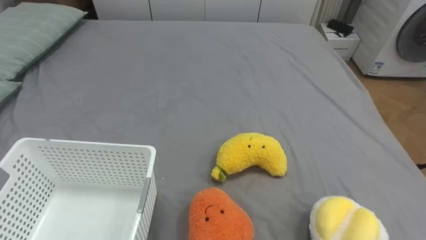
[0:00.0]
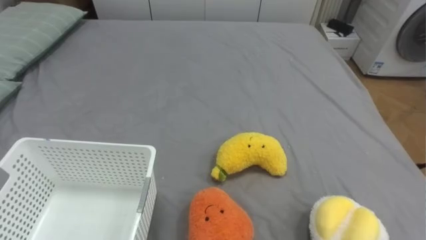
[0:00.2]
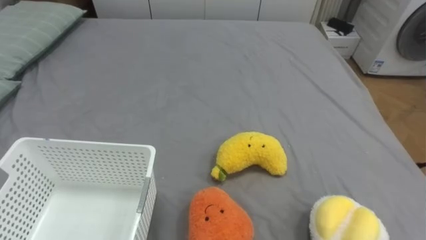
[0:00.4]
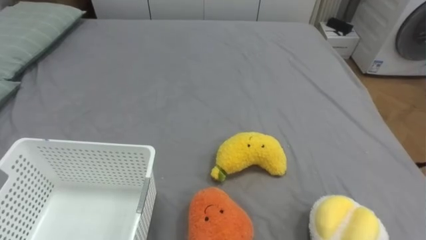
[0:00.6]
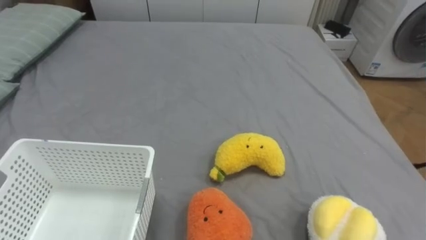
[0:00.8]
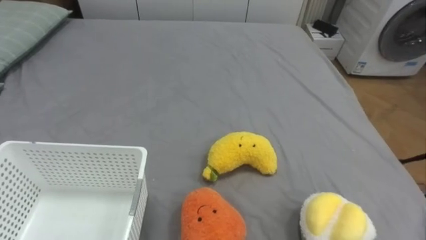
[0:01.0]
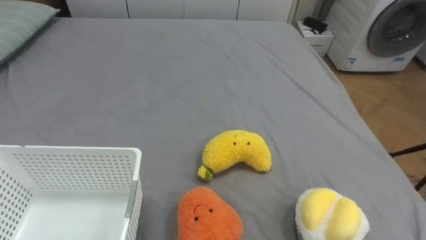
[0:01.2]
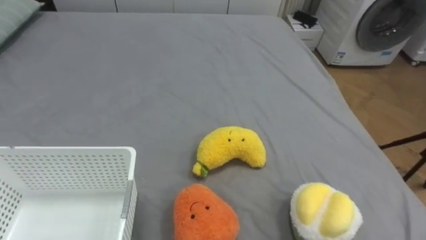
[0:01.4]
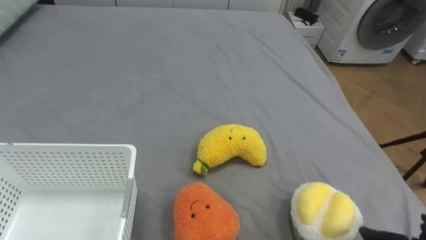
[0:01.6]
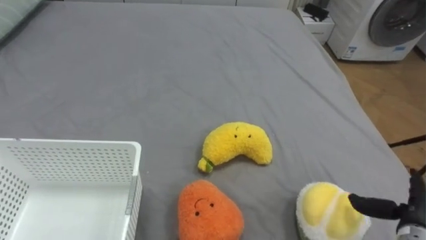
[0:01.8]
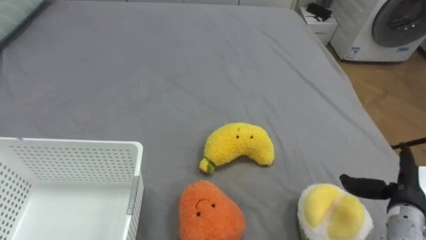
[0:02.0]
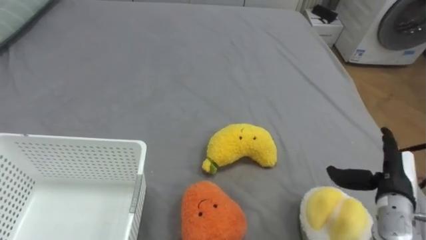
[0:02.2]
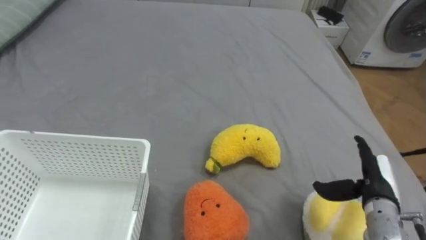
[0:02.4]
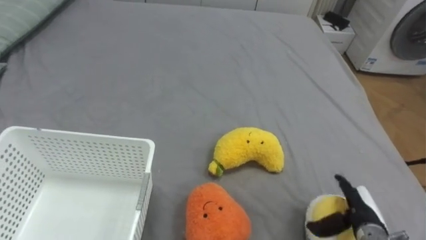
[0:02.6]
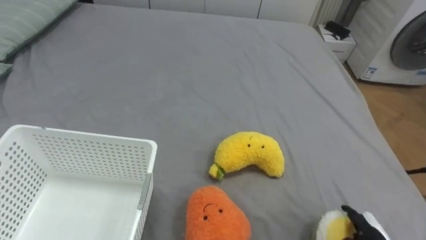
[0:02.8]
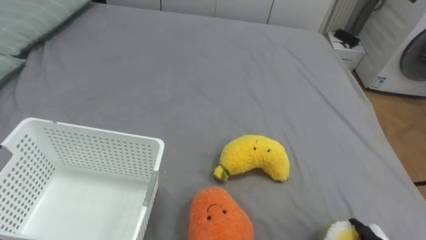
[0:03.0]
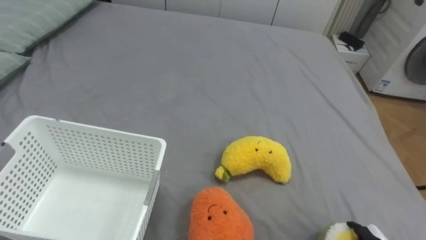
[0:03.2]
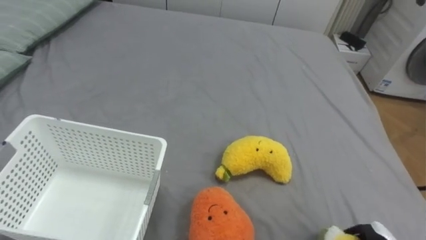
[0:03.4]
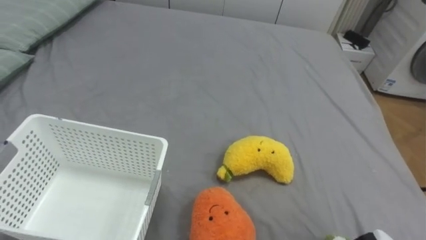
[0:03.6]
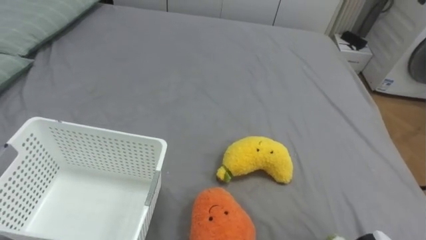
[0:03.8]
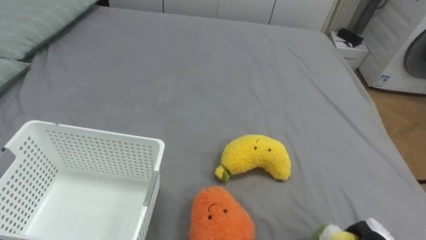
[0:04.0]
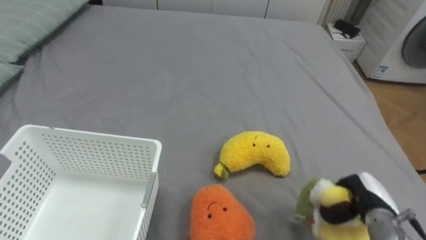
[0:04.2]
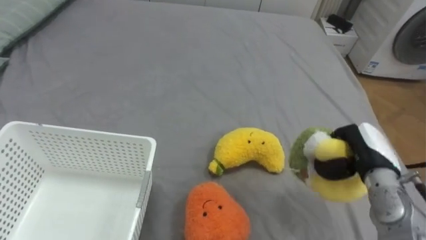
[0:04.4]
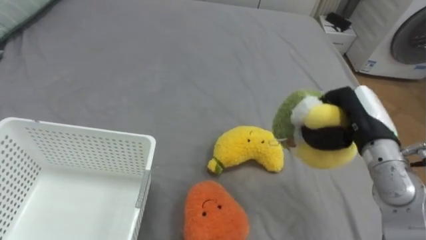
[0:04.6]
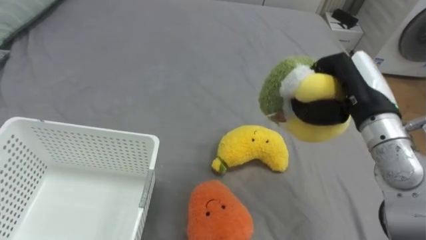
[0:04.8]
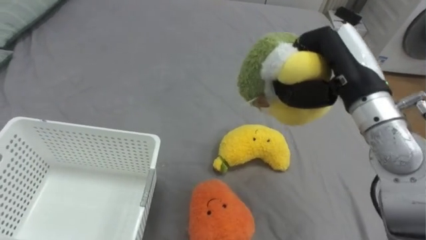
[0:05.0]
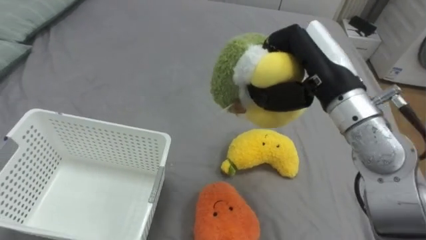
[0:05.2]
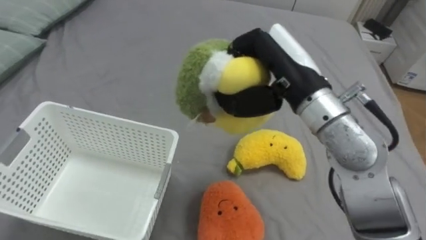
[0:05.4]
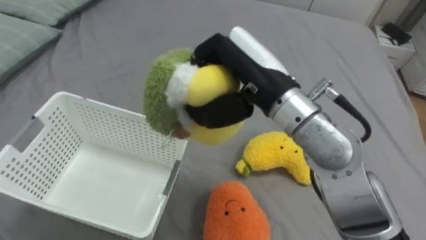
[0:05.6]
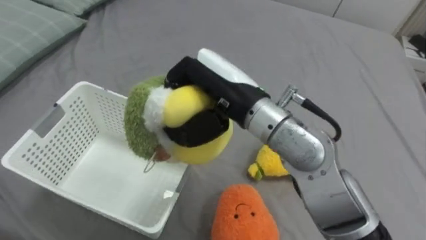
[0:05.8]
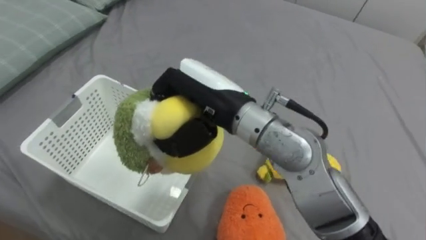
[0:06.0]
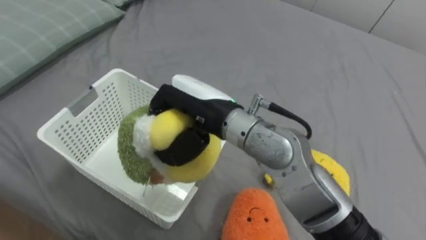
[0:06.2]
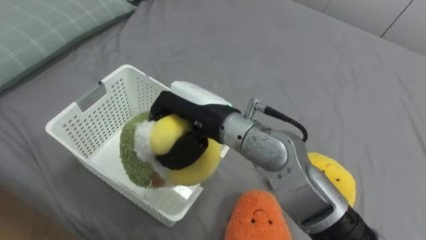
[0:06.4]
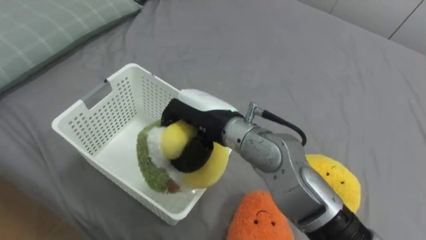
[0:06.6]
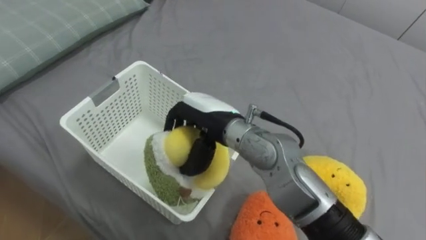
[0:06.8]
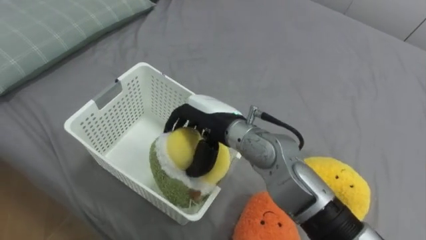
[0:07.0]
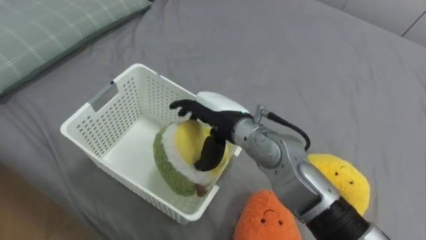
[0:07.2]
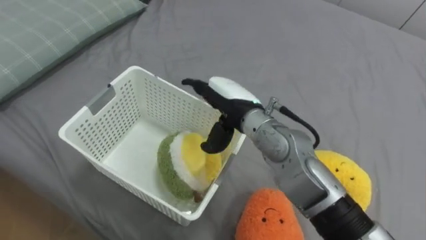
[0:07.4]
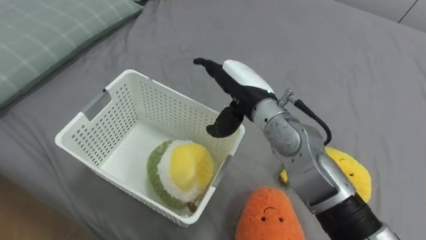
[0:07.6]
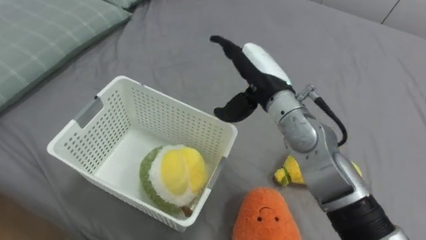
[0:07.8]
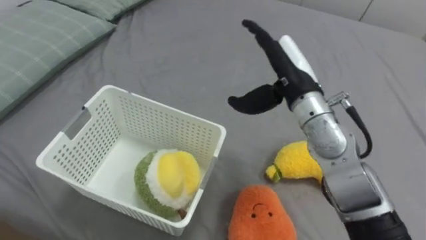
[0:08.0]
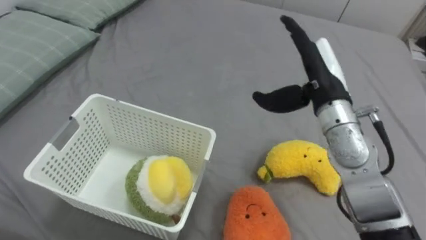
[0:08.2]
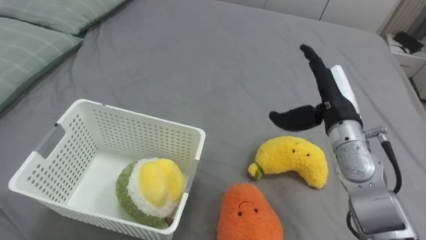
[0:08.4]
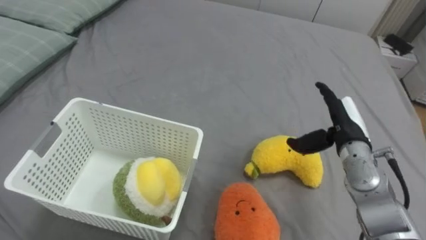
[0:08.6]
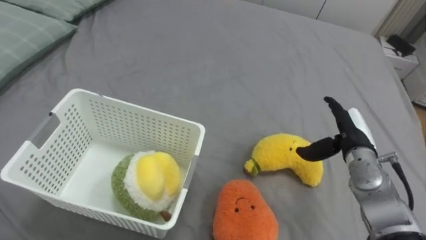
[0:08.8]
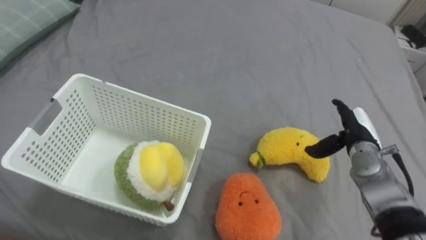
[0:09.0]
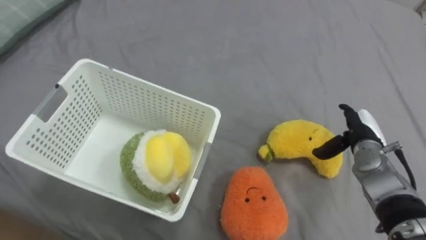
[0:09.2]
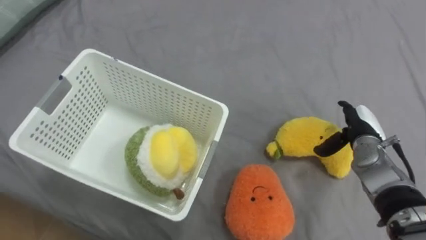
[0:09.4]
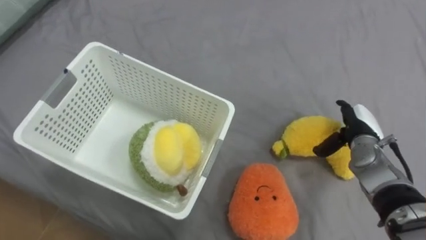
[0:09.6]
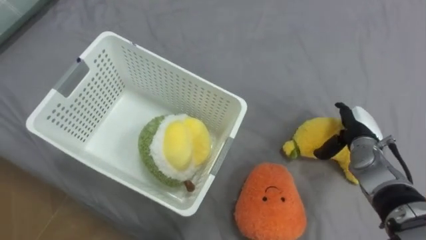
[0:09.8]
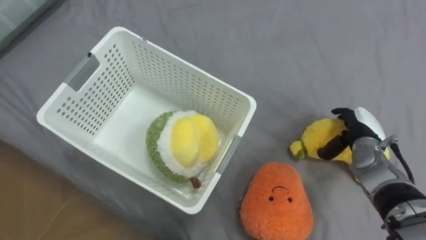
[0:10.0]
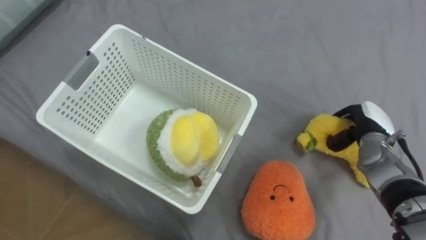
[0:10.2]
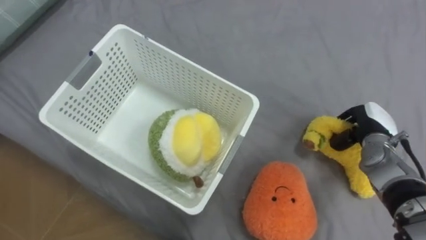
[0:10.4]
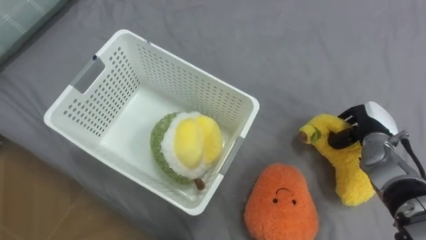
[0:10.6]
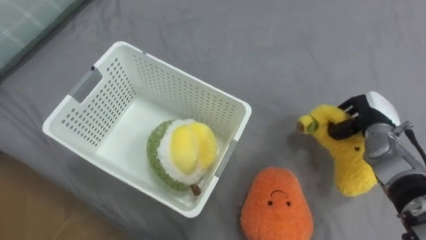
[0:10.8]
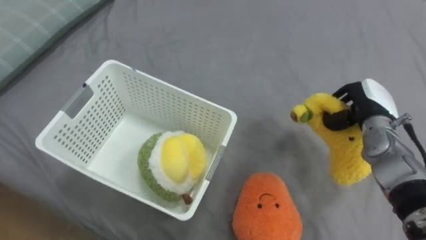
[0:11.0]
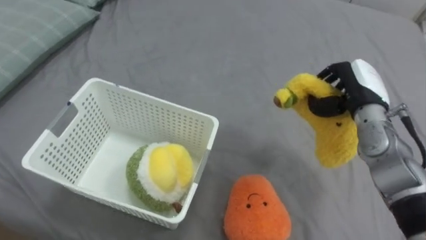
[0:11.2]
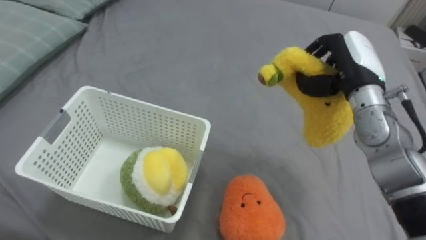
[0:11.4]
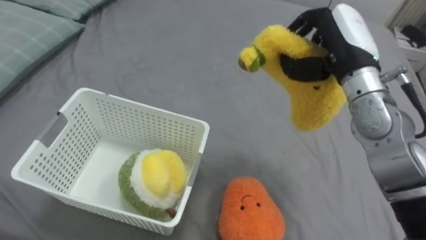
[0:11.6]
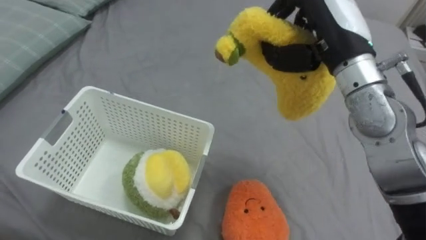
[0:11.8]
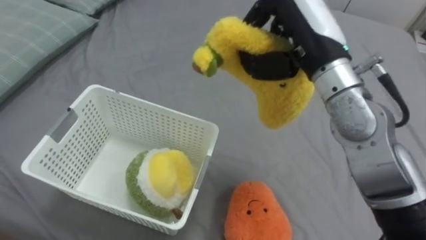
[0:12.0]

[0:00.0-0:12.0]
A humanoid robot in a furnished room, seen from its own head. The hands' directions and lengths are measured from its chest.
Task of the whole recording: Put the toys on the bed into the basket on the left.
4.4 to 6.0 s: The right hand shifts roughly 35 cm to the left and upward.
6.0 to 7.6 s: The right hand goes approximately 10 cm forward and downward, and opens its fingers.
7.6 to 9.0 s: The right hand shifts some 25 cm to the right and downward.
9.0 to 10.4 s: The right hand closes its fingers.
10.4 to 12.0 s: The right hand heads upward and to the left, covering about 30 cm.

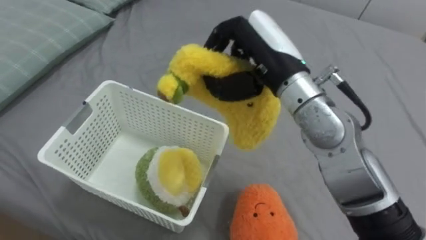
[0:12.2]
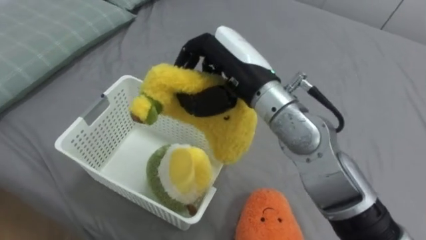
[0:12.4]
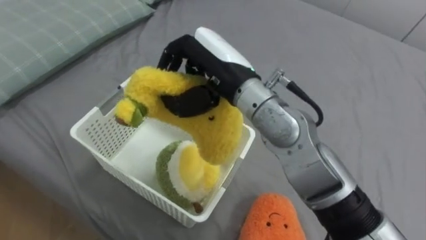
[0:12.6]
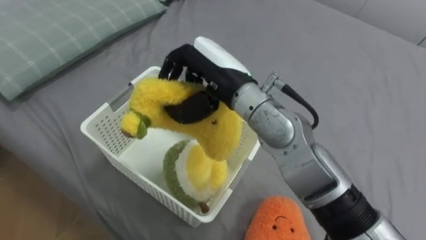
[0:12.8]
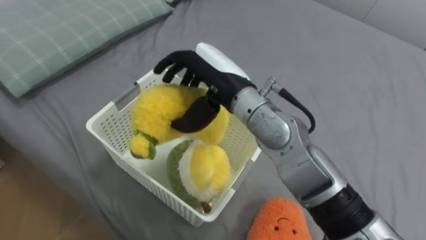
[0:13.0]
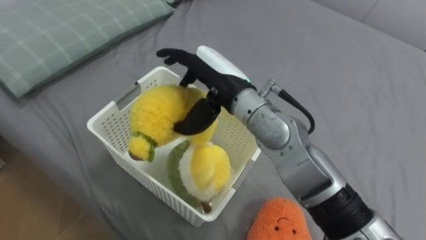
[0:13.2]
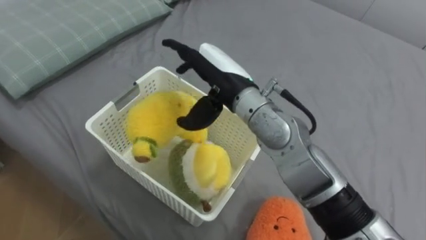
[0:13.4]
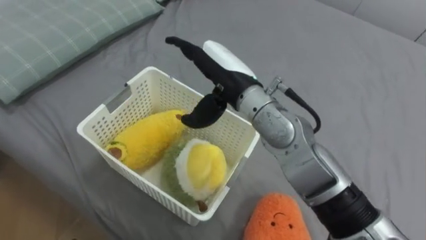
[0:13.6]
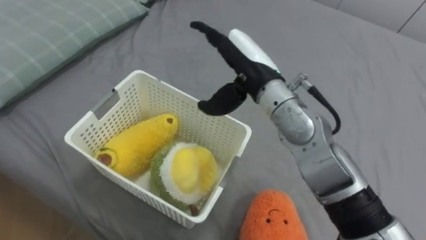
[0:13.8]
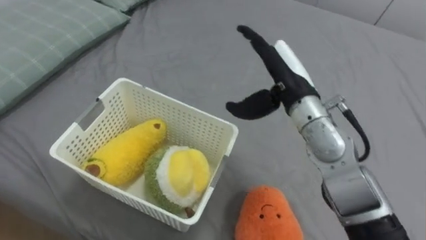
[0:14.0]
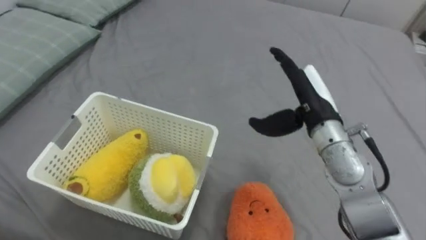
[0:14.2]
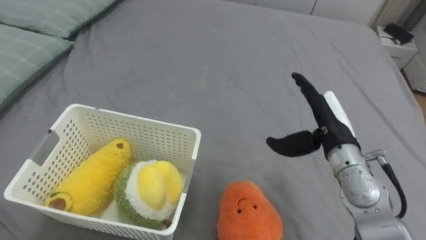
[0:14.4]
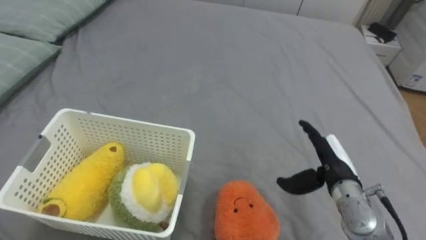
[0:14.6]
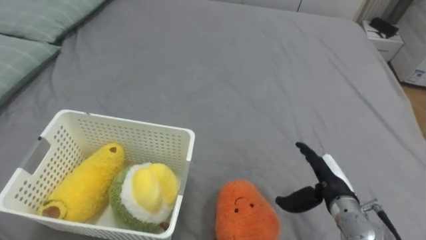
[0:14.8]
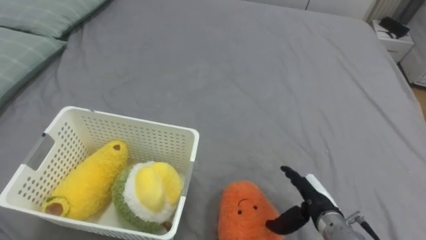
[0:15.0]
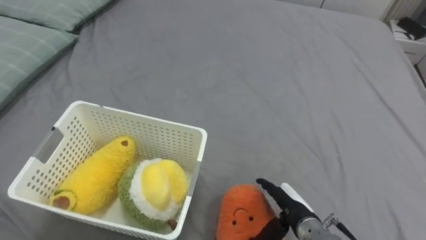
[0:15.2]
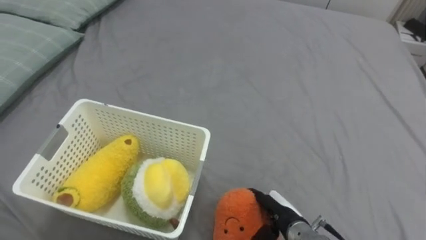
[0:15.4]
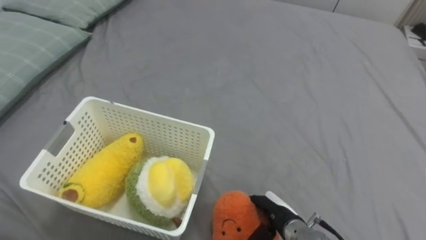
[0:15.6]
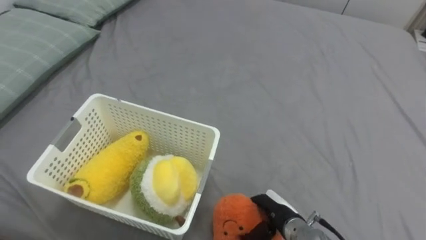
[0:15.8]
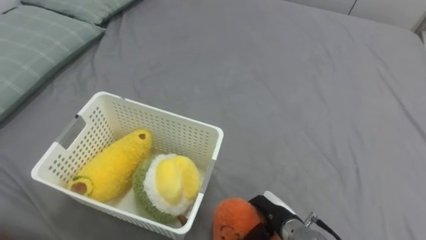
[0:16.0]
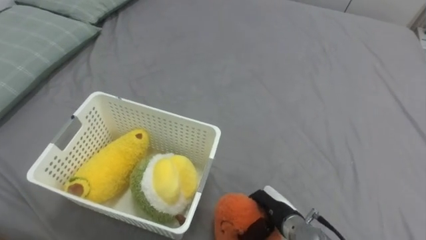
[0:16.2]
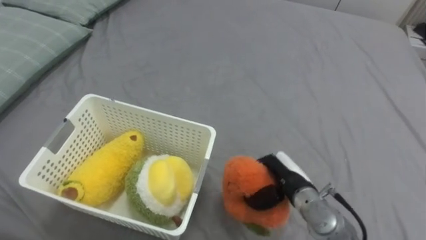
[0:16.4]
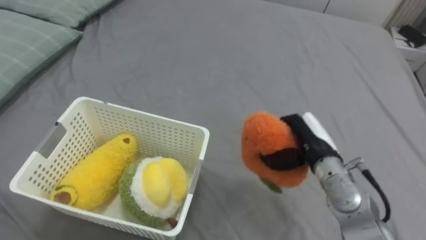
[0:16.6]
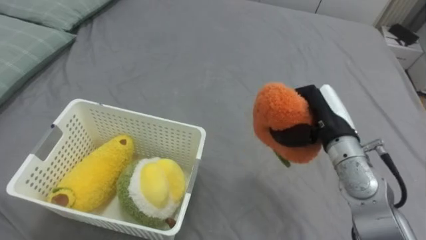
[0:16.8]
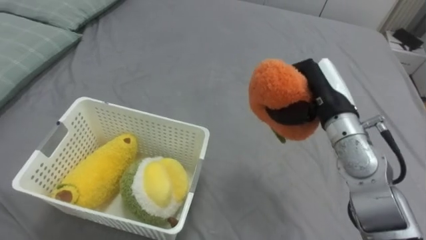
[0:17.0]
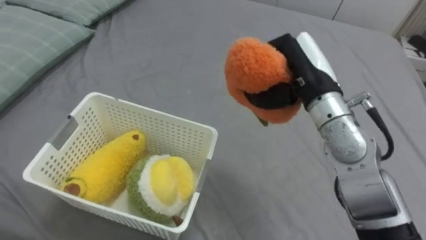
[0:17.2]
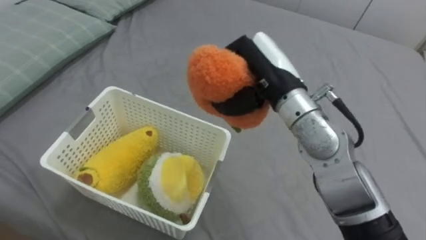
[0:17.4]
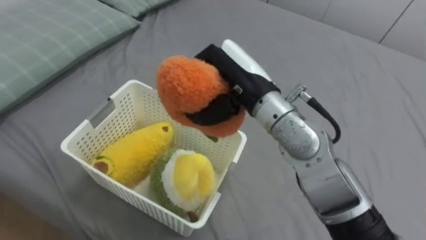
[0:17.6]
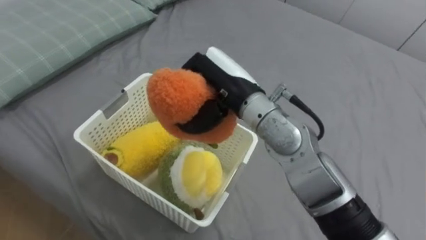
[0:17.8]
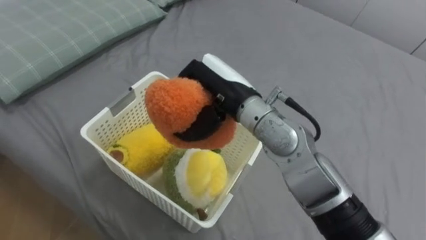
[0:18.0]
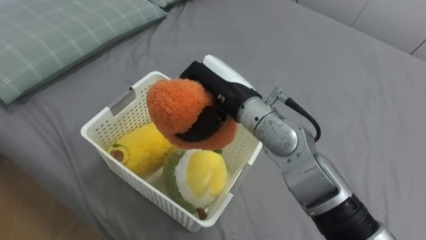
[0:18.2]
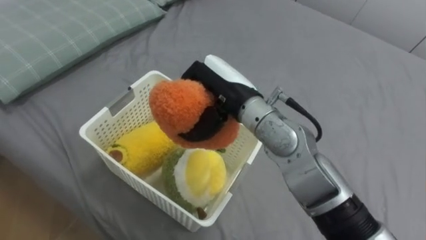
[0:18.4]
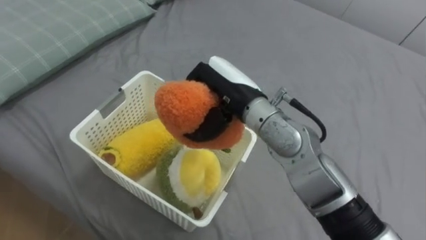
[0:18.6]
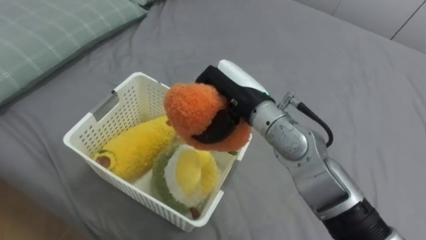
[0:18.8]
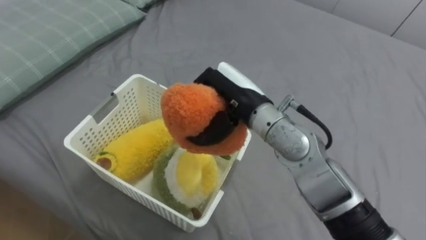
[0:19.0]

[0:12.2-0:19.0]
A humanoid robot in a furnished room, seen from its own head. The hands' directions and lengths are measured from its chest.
Task of the whole recording: Put the toys on the bed into the basket on the left.
12.2 to 13.6 s: The right hand heads to the left, covering roughly 5 cm, and opens.
13.6 to 15.0 s: The right hand moves downward, to the right and backward, some 35 cm.
15.0 to 16.2 s: The right hand travels to the left by roughly 10 cm, and closes.
16.2 to 17.6 s: The right hand shifts approximately 30 cm upward.
